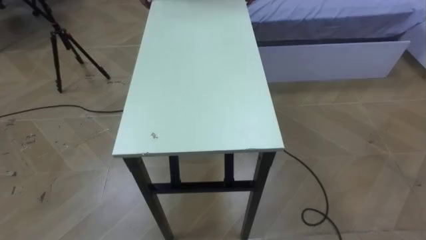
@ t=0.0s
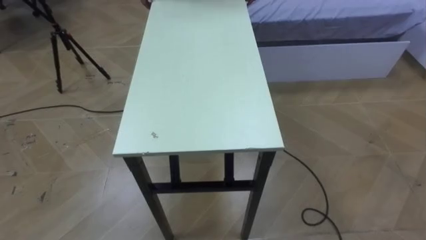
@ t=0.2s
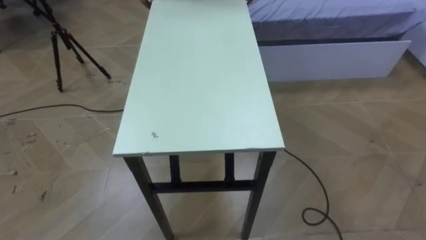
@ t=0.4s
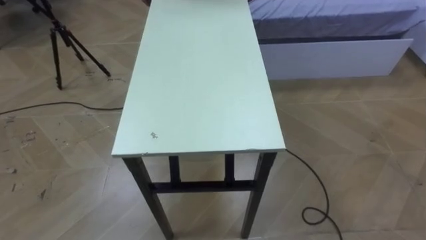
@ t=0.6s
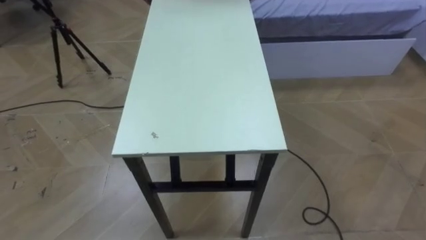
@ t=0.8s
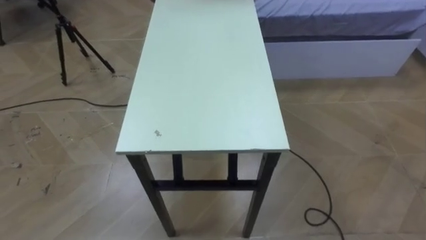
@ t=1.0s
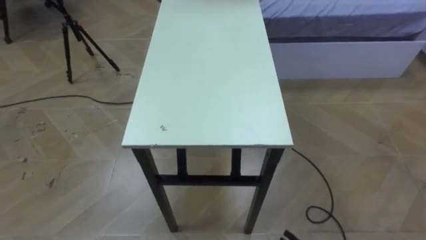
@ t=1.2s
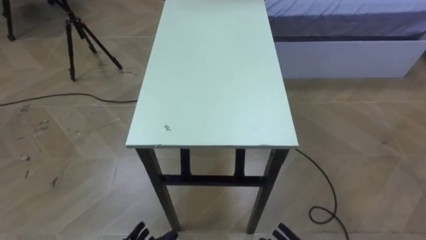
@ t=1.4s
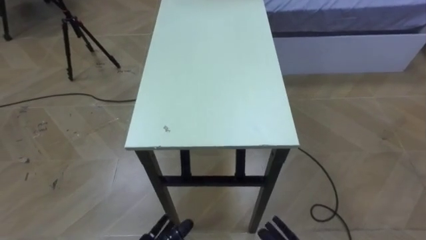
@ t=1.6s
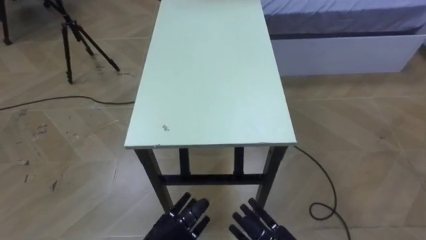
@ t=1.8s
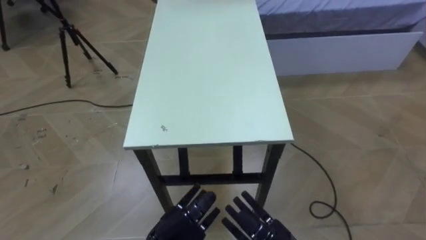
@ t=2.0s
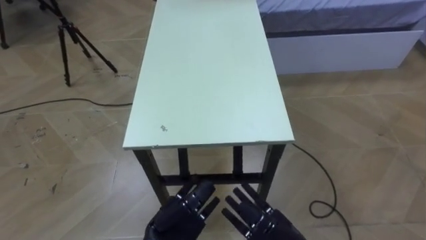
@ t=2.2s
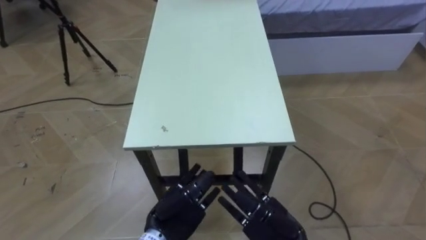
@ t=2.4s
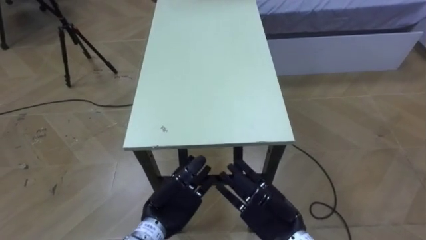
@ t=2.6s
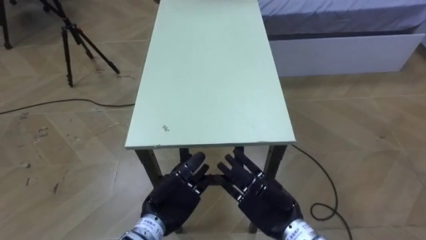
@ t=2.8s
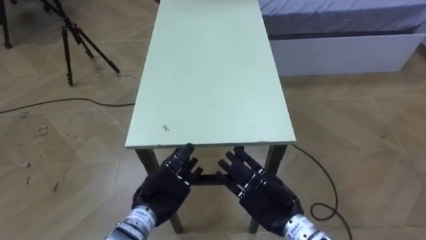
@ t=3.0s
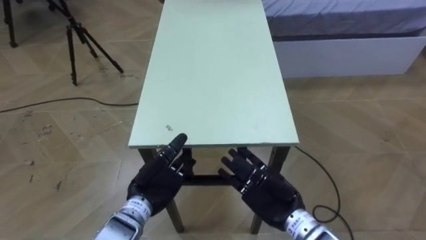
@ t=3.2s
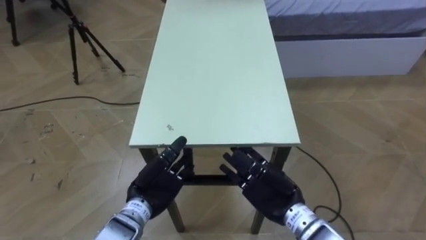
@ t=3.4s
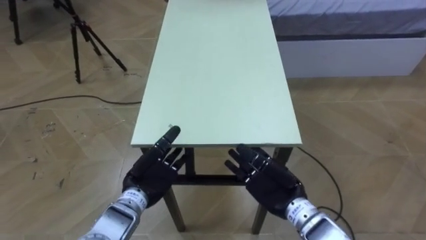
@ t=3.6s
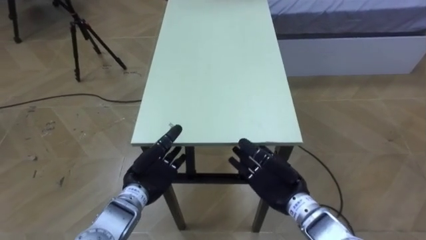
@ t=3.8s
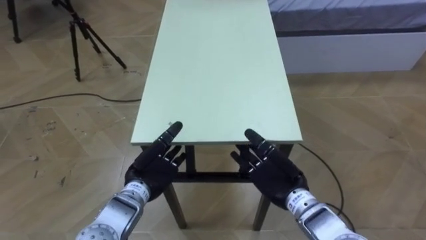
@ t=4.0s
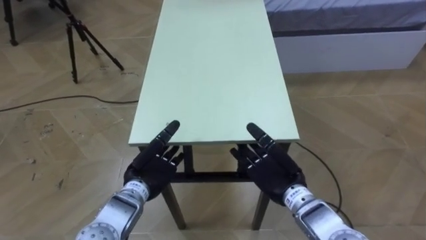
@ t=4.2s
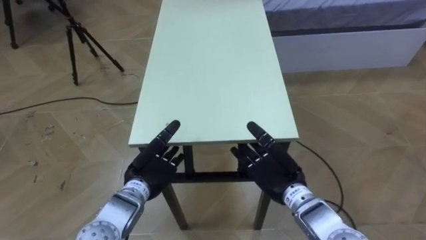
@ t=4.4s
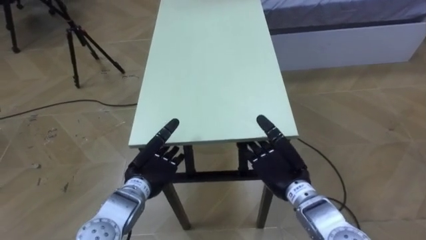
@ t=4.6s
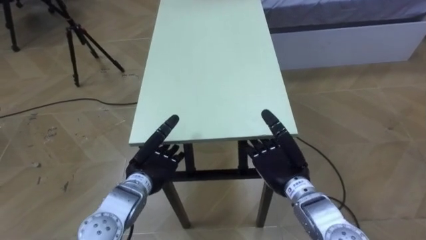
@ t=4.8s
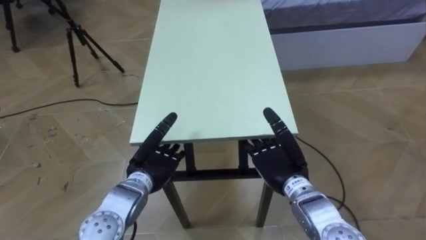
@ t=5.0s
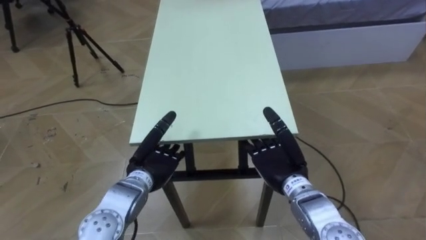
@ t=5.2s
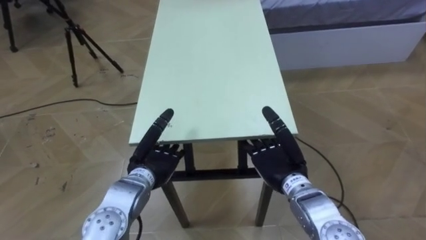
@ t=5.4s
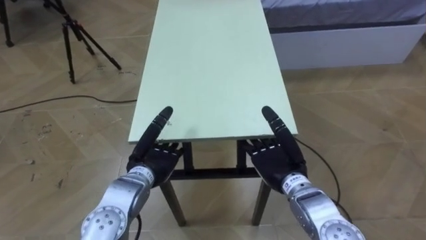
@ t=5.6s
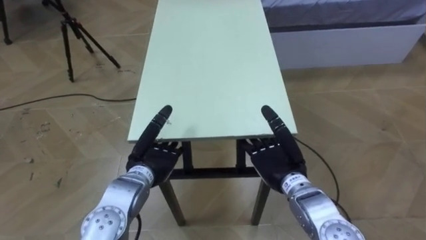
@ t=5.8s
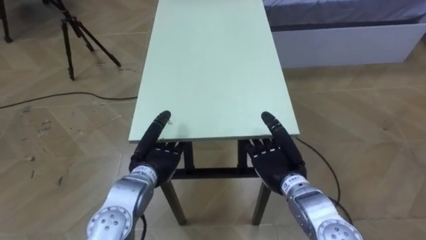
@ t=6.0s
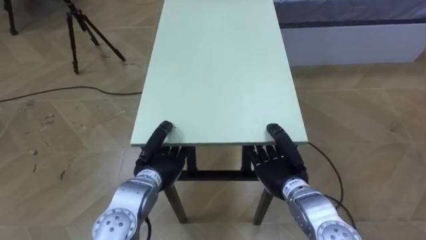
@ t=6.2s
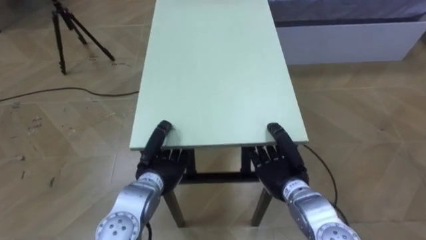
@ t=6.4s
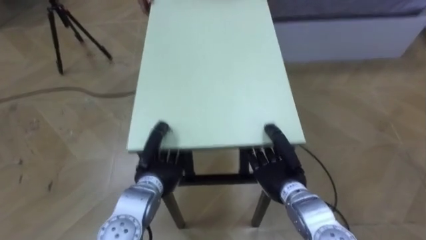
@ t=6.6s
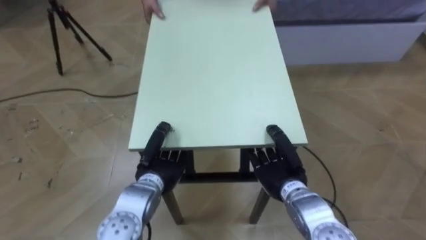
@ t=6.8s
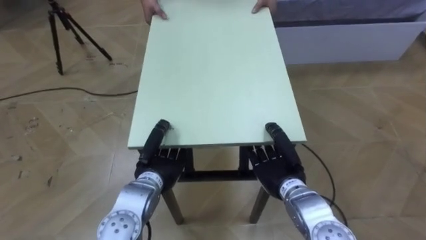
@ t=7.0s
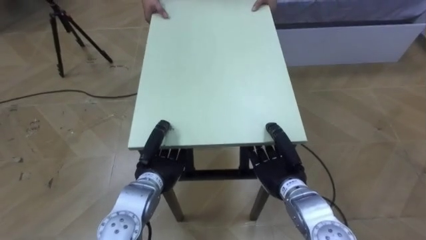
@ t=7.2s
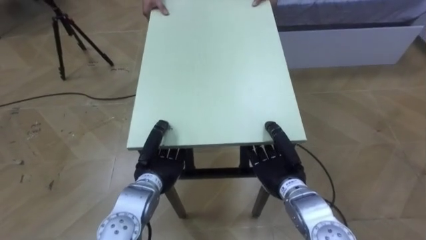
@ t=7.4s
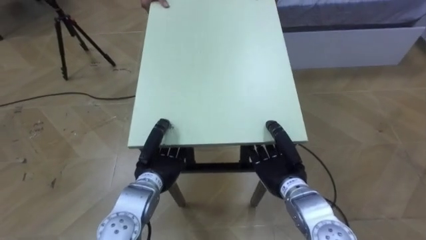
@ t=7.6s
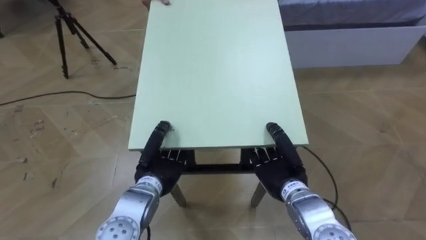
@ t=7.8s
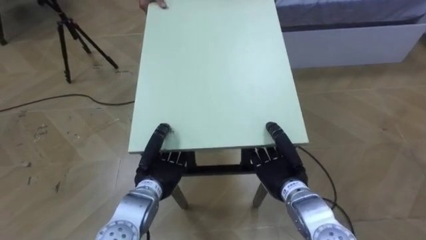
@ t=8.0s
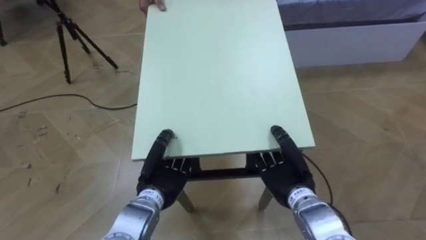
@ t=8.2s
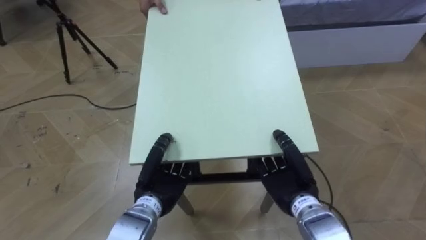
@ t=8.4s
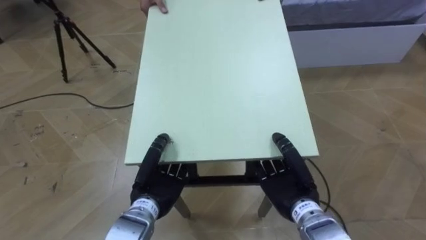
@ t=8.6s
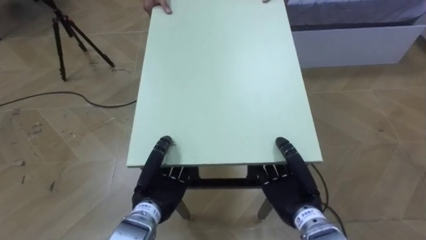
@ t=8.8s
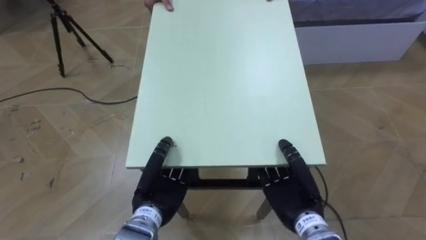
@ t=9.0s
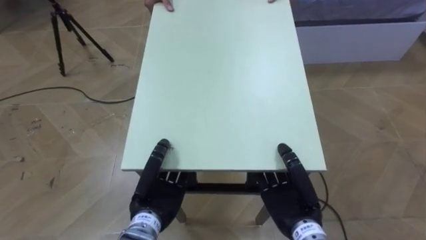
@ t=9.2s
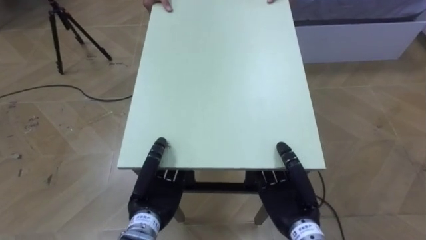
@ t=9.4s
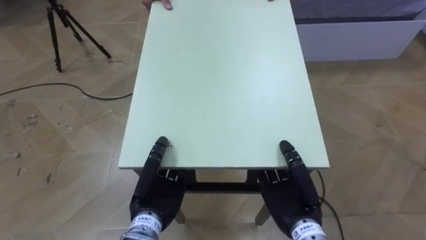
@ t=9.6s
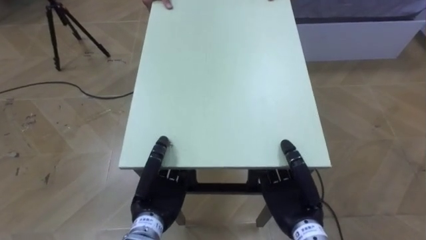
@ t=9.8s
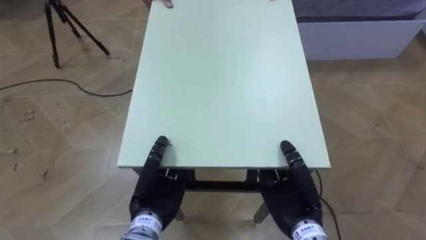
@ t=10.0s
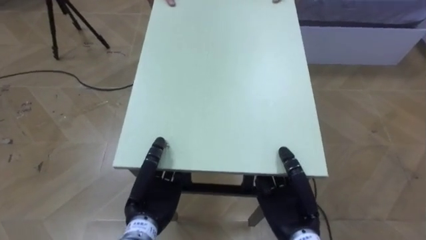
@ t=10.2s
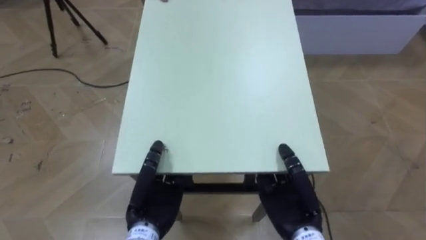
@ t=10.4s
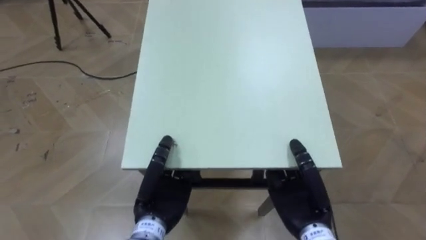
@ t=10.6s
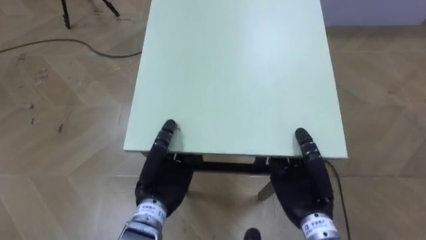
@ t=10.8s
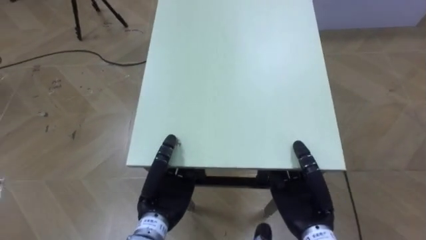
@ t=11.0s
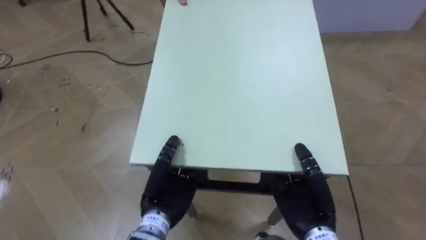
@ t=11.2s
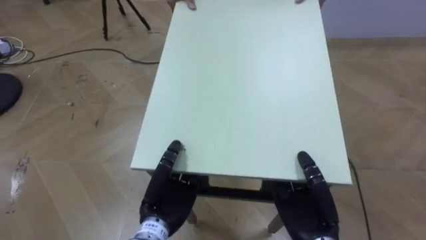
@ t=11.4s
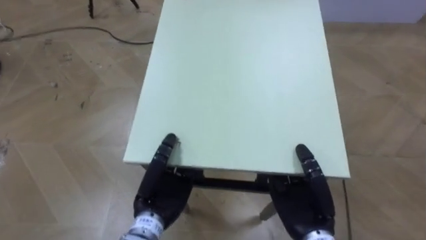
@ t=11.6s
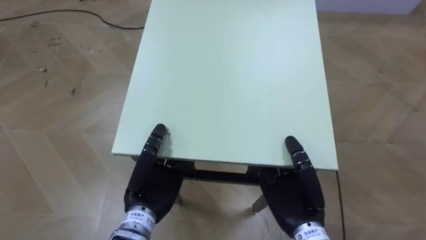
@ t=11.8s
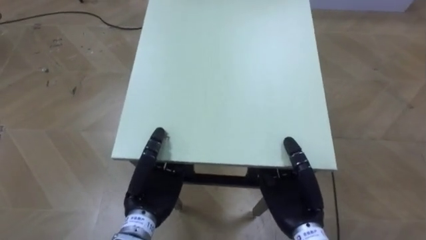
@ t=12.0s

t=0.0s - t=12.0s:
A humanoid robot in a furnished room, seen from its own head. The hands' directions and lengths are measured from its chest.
Task of the whole recording: Move the table to the back left with someone.
t=3.0s - t=4.4s: The left hand shifts by some 5 cm. Meanwhile the right hand heads forward, covering about 5 cm.
t=7.6s - t=9.0s: The hands both shift backward by roughly 5 cm.

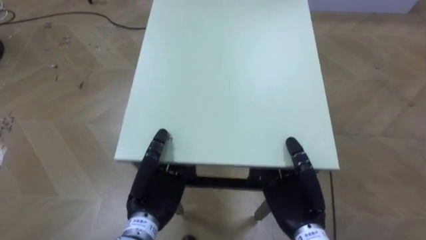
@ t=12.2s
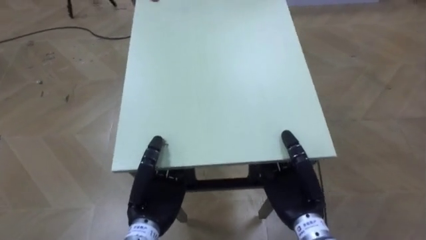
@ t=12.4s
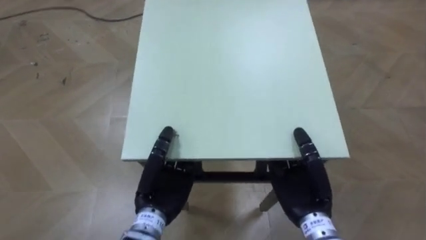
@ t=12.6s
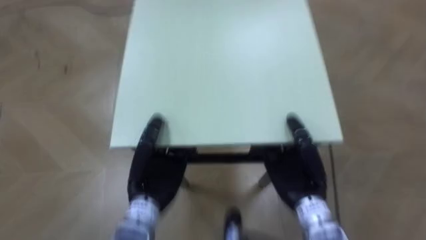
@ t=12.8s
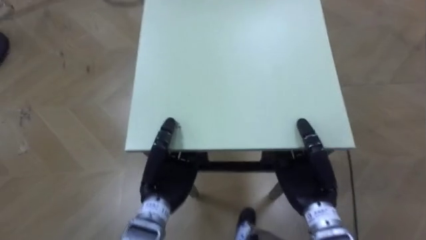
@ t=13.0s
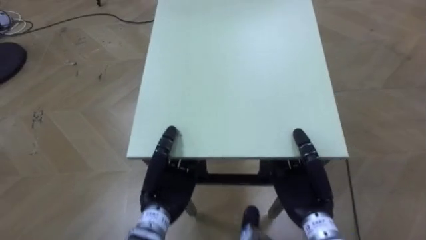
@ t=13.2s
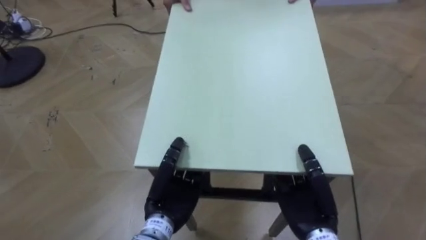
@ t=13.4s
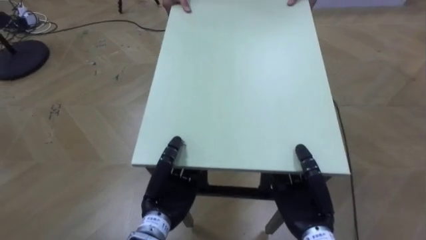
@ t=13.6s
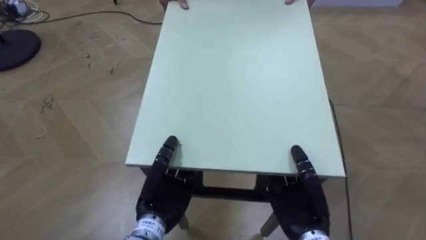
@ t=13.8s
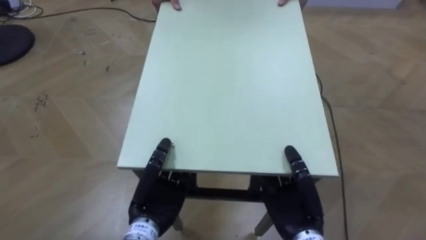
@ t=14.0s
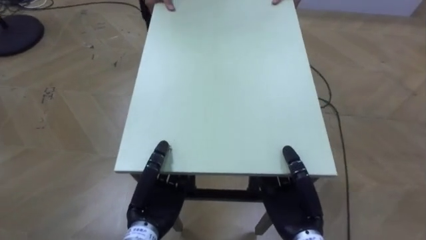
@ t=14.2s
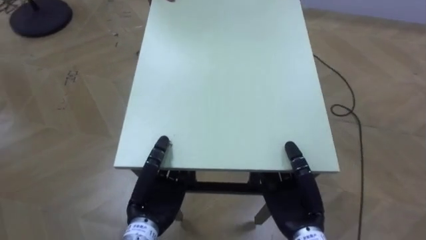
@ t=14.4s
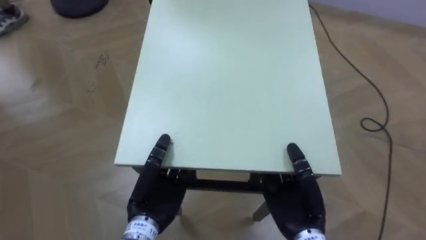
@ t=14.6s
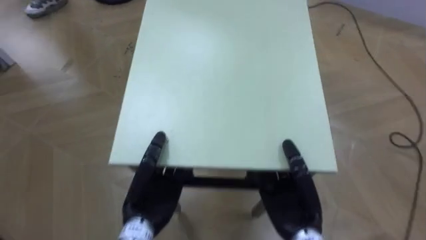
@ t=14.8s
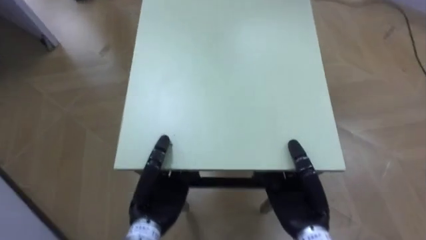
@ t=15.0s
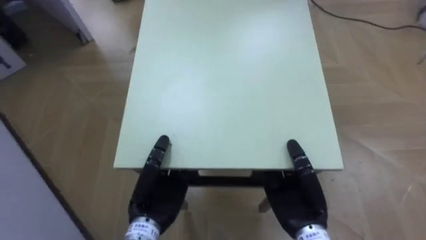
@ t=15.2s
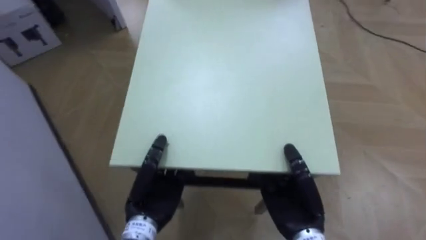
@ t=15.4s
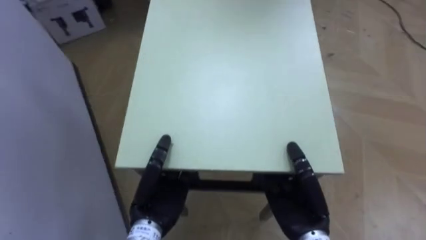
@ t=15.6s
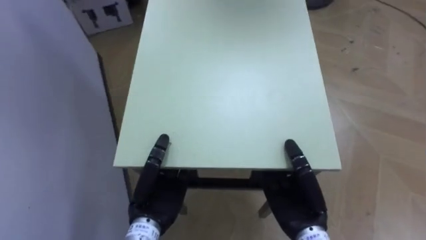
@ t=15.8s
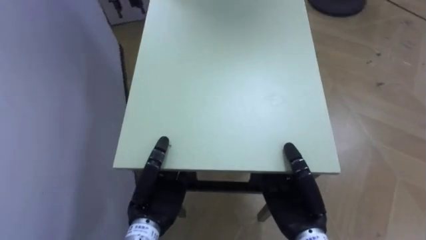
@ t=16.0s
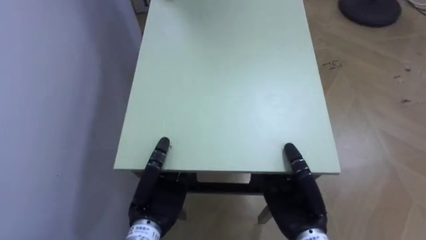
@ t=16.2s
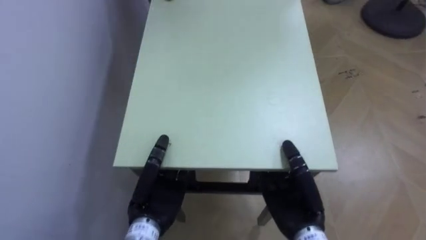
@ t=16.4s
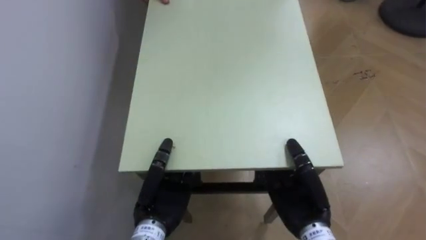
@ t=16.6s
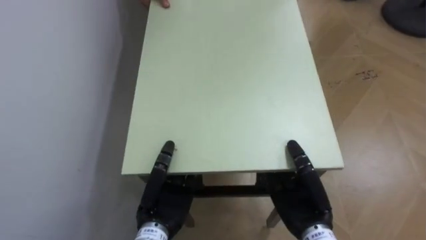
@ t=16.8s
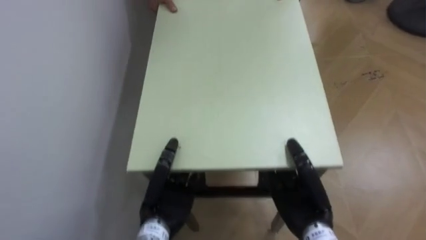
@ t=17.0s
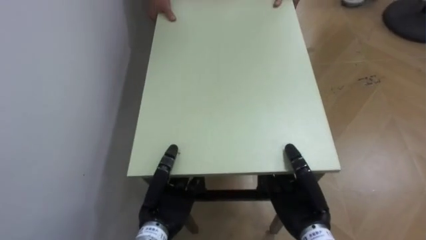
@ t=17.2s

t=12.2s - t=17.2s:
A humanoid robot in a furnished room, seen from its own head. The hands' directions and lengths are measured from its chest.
Task of the whole recording: Move the table to the back left with someone.
t=13.8s - t=15.6s: The robot faces approximately 55 degrees further to its left.
t=15.6s - t=17.2s: The robot rotates about 30 degrees to its left.
